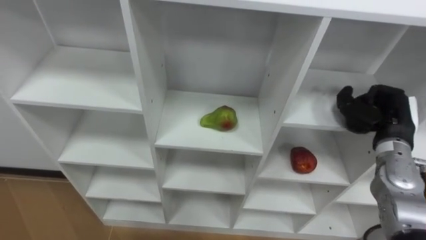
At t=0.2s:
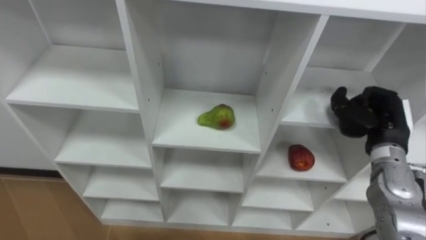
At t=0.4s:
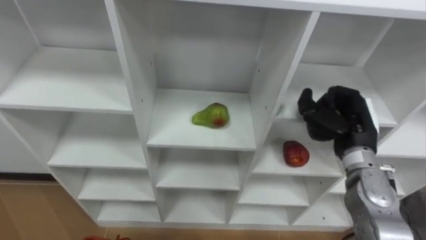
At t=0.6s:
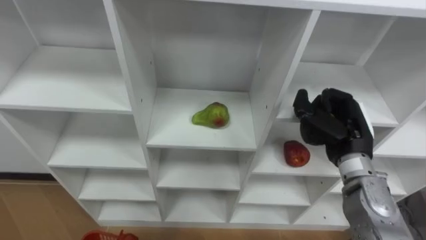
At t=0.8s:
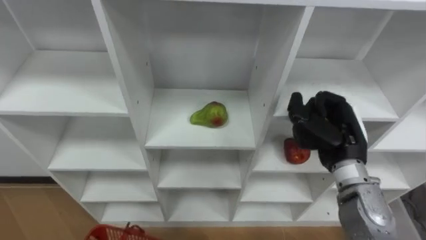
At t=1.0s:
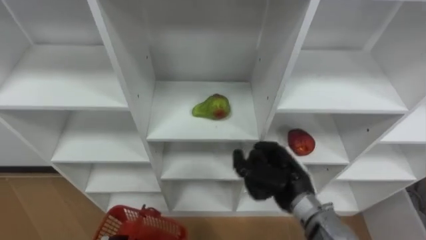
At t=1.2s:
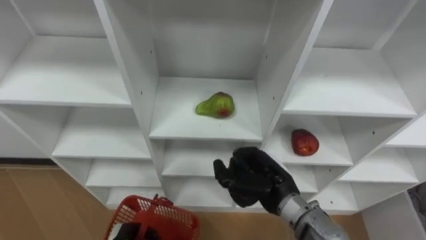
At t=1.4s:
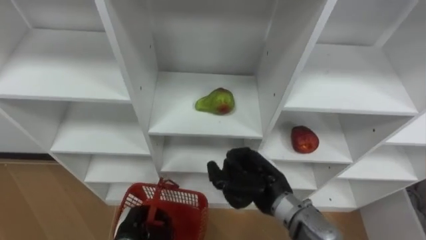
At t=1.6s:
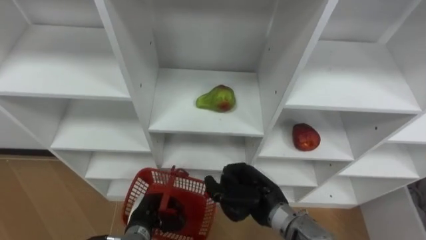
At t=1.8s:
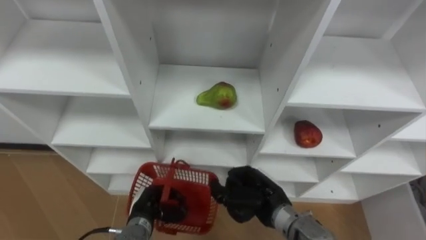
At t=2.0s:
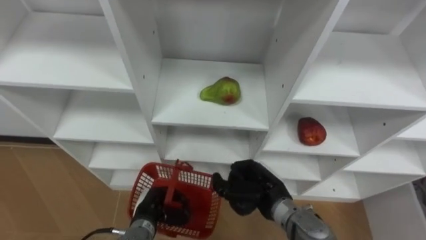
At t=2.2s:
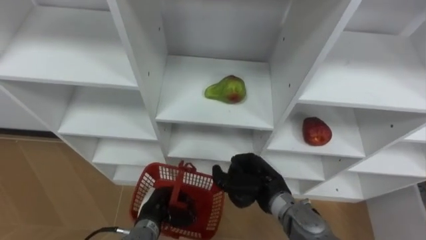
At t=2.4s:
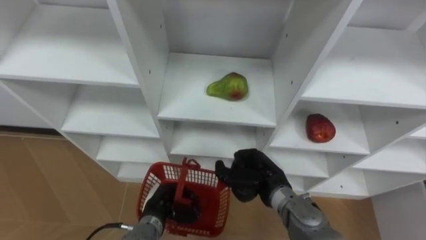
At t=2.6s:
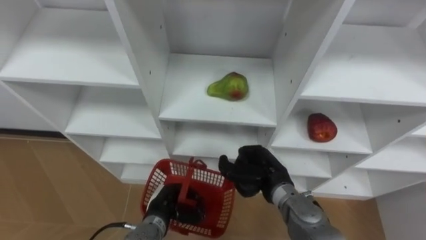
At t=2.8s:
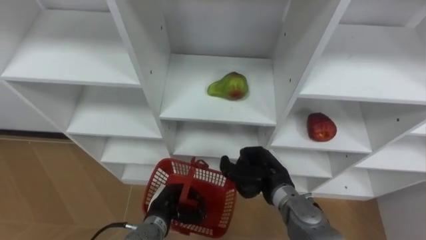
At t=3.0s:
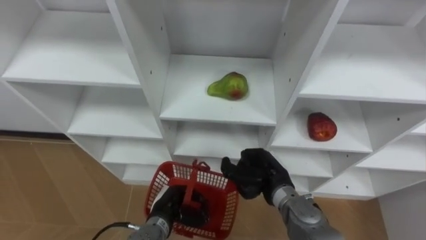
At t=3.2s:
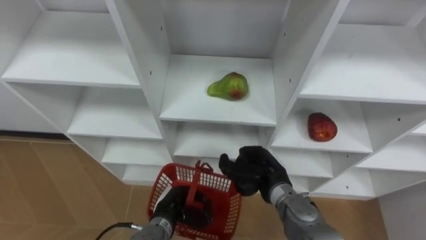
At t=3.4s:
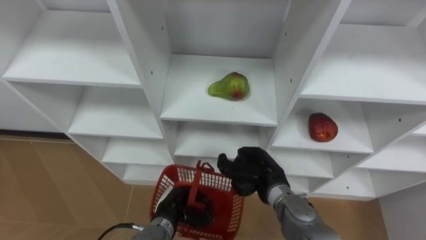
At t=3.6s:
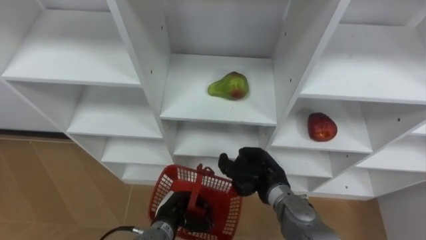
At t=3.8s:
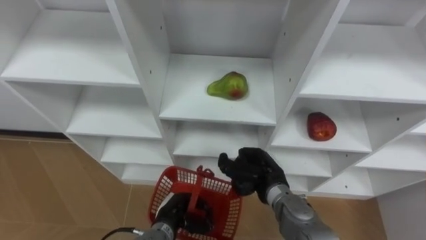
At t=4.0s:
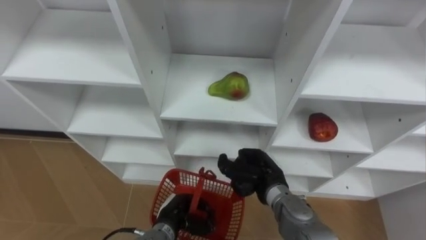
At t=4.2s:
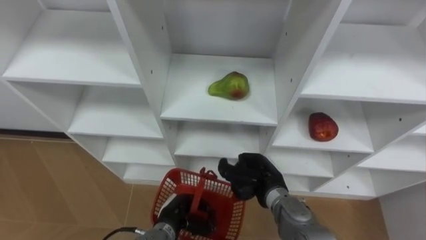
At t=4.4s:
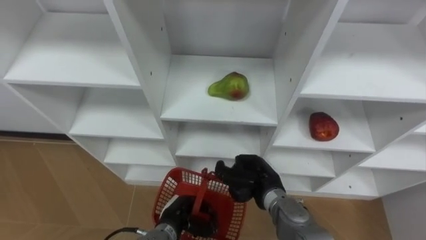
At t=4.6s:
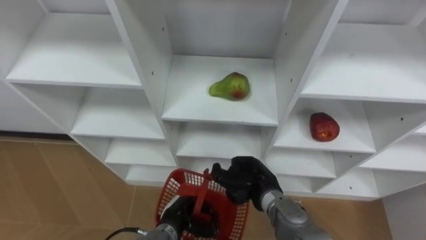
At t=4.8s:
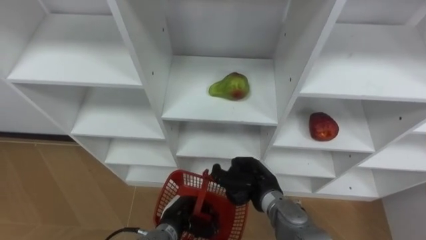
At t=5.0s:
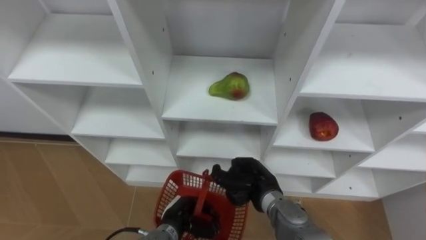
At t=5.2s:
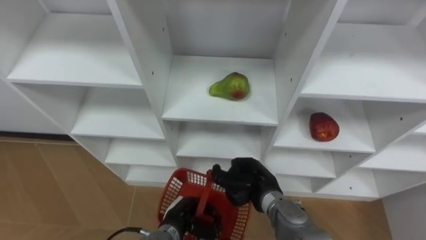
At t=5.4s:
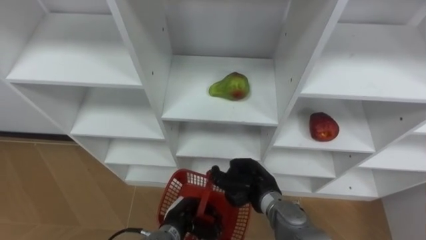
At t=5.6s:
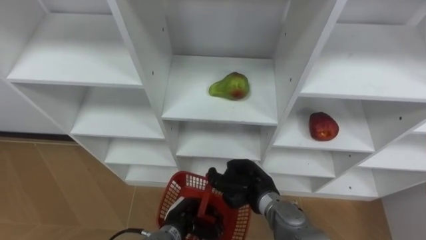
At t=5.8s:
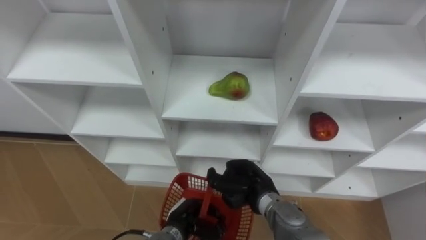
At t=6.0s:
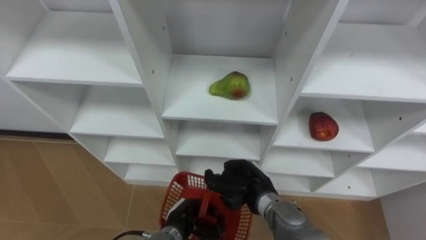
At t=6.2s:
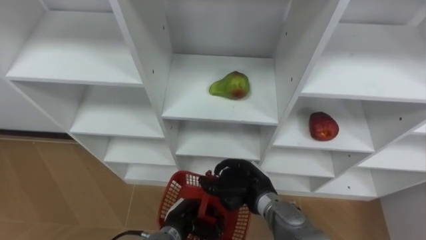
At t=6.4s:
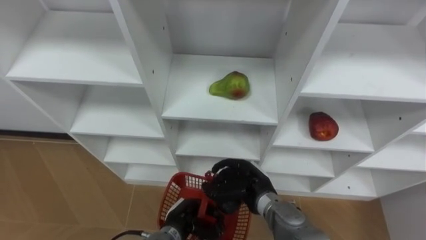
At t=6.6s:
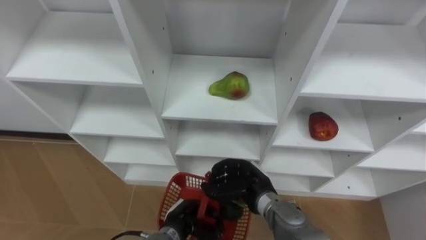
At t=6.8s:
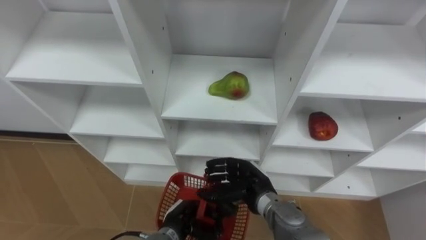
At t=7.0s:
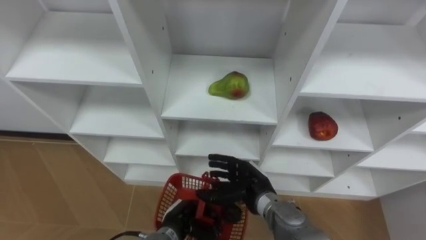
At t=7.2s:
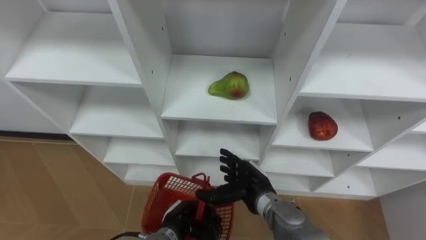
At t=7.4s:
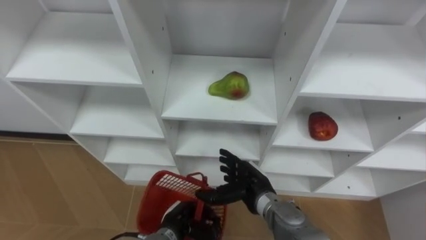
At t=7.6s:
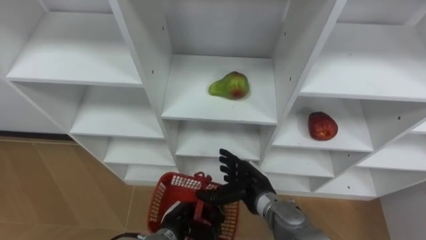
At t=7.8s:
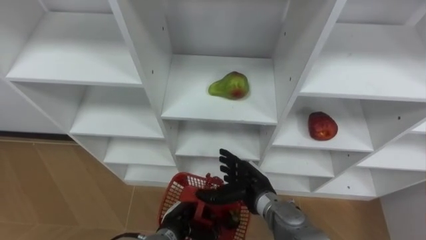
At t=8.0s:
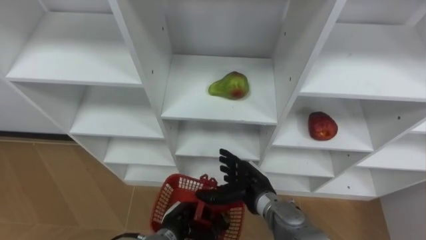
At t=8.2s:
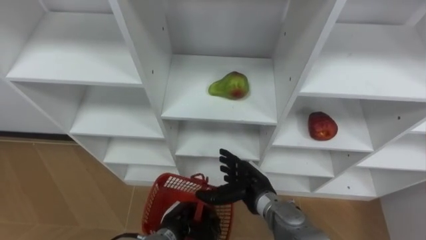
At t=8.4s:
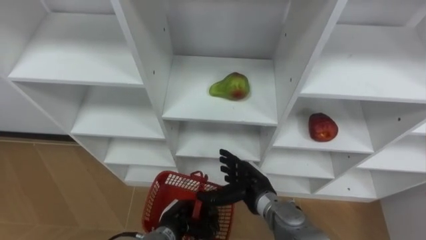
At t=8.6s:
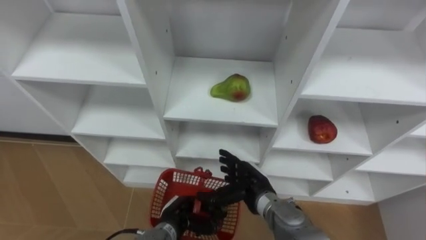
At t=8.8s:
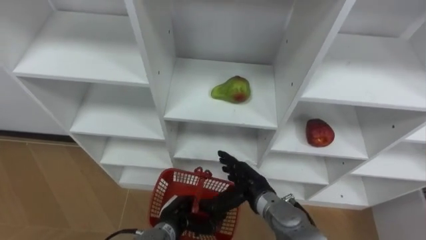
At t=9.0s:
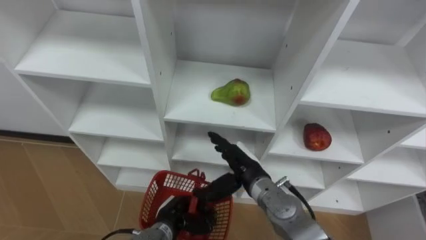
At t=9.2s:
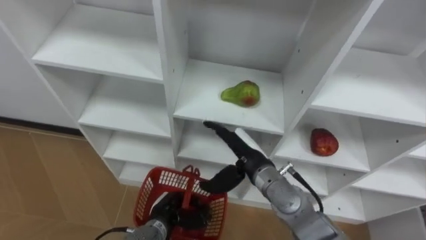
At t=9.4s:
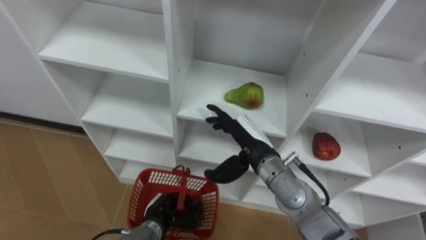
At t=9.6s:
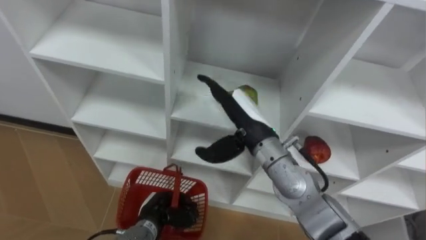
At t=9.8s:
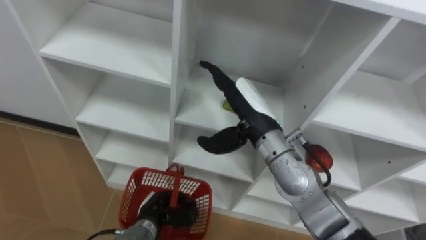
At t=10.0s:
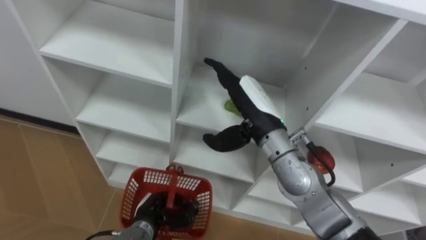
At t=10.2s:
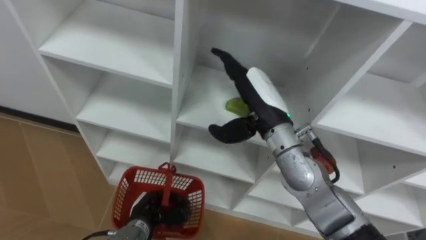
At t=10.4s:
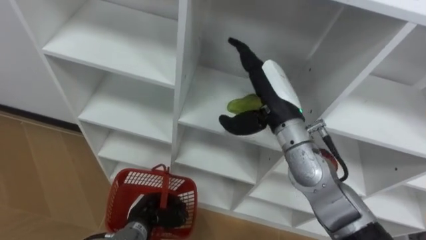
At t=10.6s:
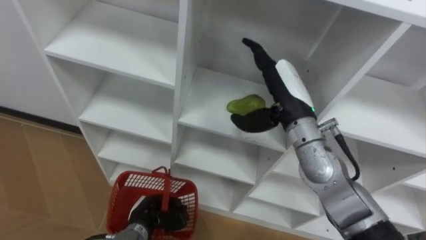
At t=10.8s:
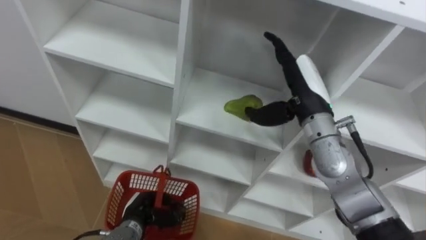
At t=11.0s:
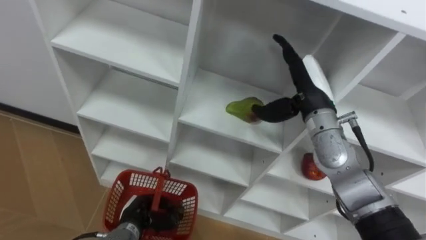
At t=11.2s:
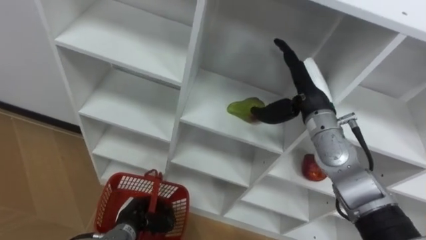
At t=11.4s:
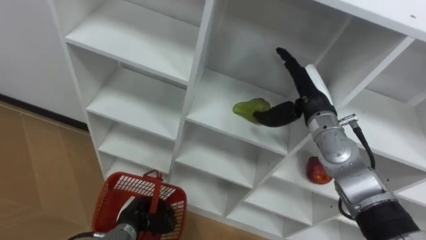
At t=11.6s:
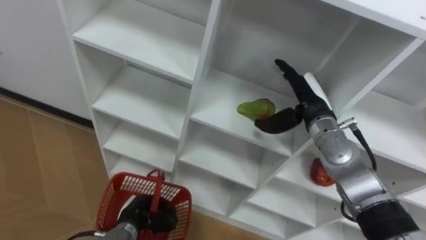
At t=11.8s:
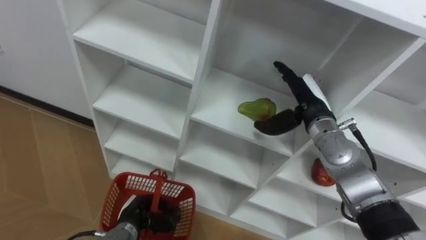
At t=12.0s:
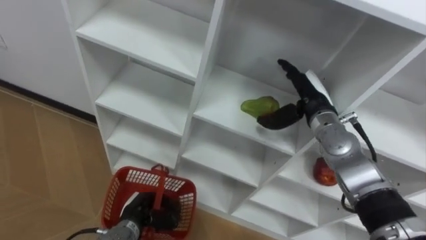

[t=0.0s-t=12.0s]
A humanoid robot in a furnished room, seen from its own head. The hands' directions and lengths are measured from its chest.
Task of the whole recording: Hold the basket and collect the fruits from 3 different cells of the closet into it.
t=0.0s to t=1.6s: The right hand travels to the left by some 25 cm.
t=1.6s to t=3.0s: The left hand moves to the right, approximately 5 cm; the right hand changes place by some 5 cm.
t=3.0s to t=6.0s: There are only small adjustments of the hands.
t=6.0s to t=7.6s: The right hand opens its fingers.
t=9.0s to t=10.4s: The right hand moves upward, about 15 cm. The left hand goes about 5 cm to the left.
t=10.4s to t=12.0s: The right hand is displaced to the right and downward by about 10 cm.

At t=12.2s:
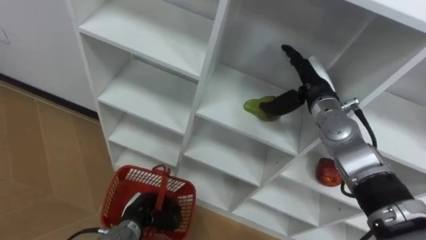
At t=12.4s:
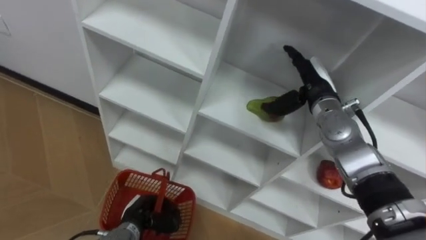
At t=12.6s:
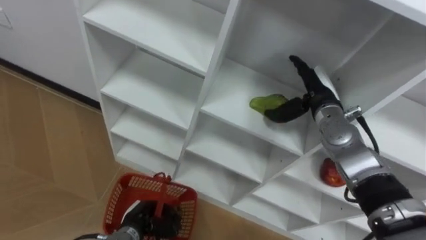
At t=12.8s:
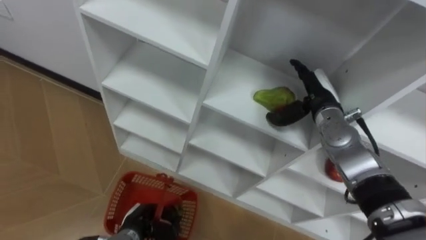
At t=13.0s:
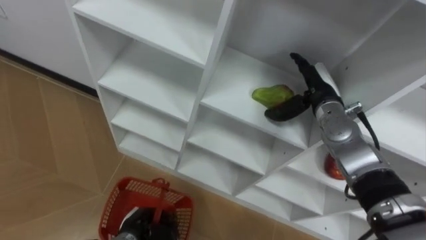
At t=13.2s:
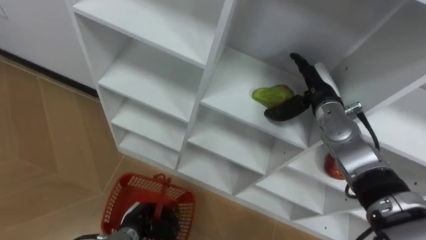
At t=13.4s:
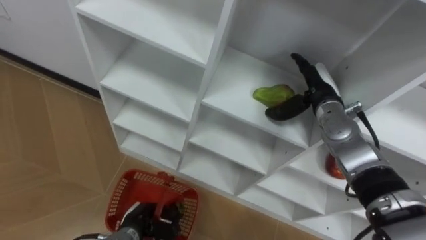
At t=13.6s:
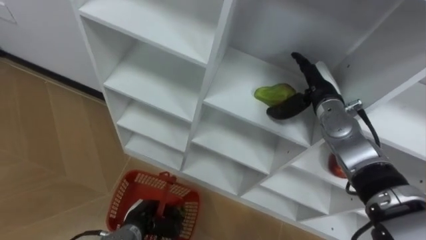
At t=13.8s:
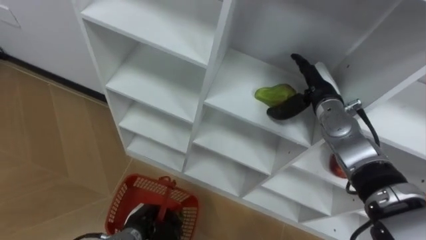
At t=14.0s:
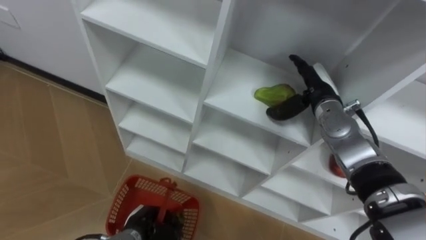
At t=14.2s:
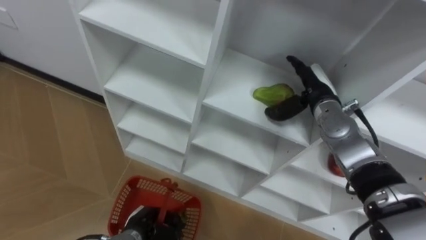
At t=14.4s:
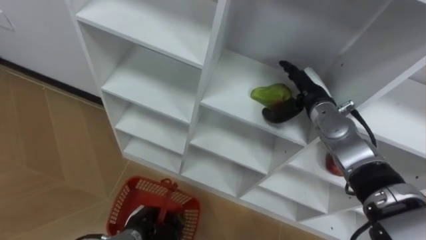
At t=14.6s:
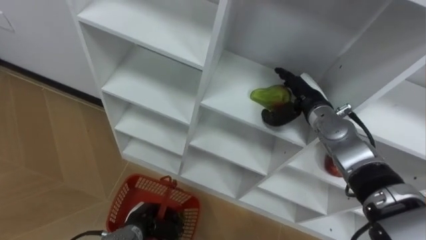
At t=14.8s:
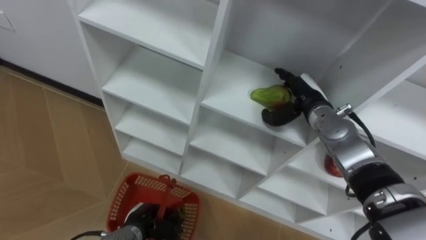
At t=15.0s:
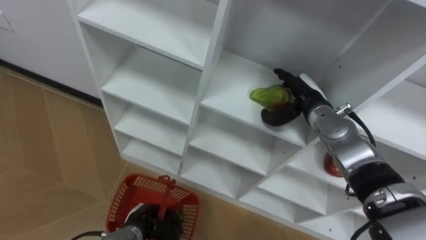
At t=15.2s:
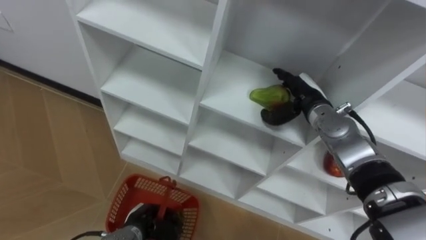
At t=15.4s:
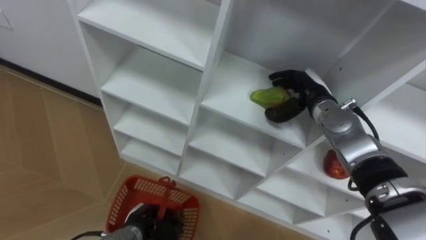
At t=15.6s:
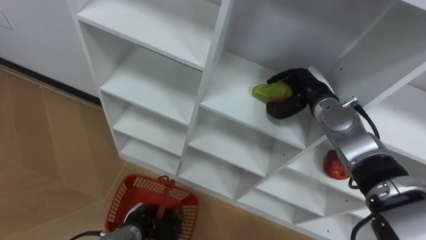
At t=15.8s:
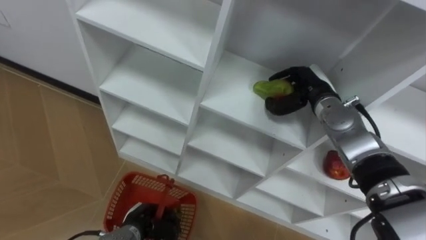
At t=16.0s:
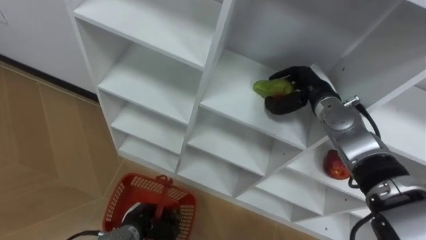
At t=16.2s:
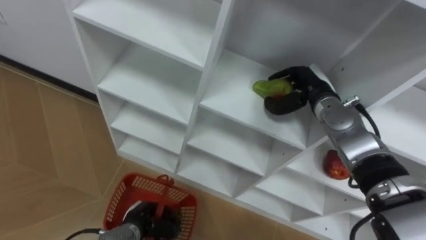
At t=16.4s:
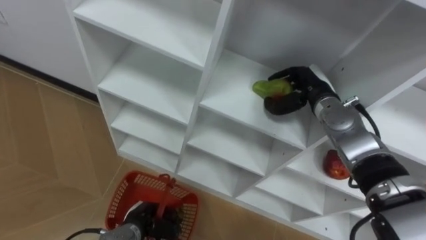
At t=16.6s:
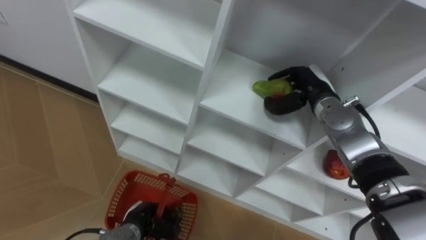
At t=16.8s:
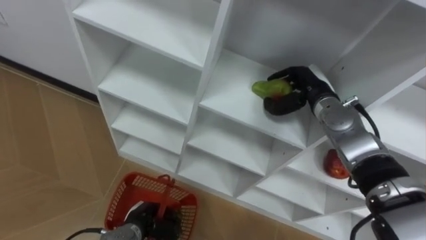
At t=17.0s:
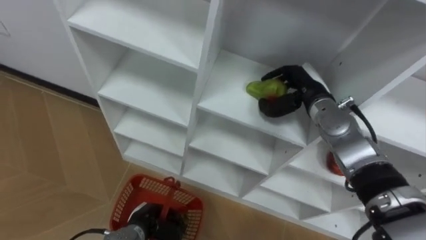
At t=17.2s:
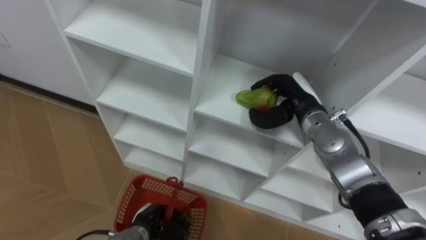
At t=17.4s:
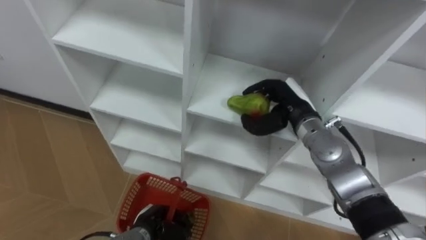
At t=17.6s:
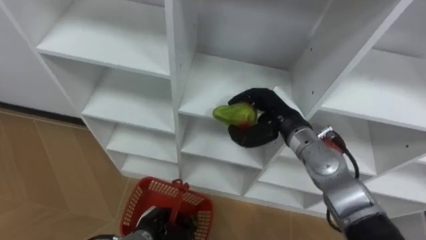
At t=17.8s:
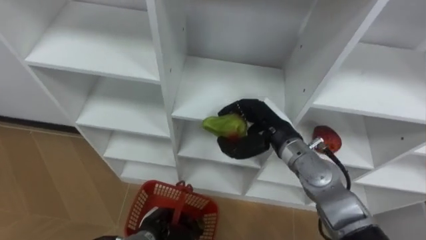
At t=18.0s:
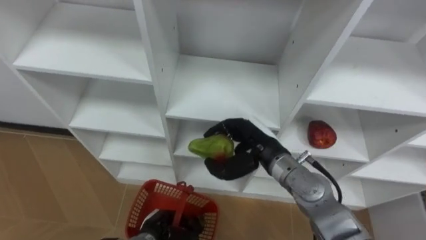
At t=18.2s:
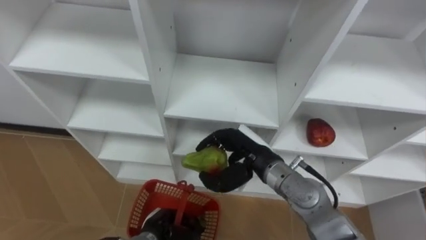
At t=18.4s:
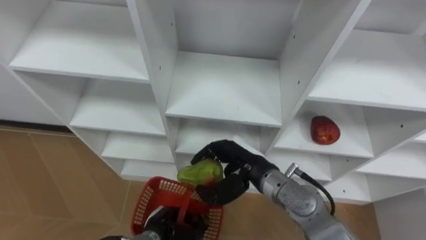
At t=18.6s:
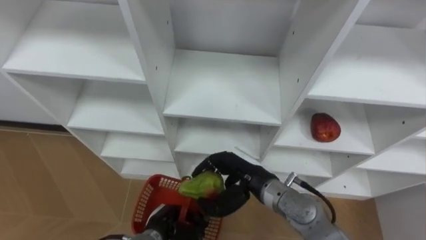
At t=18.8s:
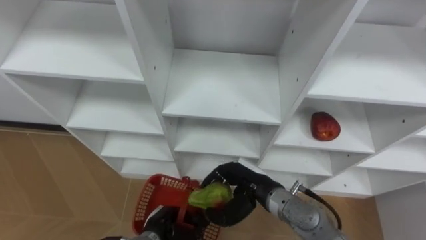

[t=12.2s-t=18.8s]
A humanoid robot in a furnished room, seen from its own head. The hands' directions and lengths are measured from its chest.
Task of the whole recording: Hold the basket and collect the fruits from 3 different cells of the closet into it.
t=13.8s to t=15.4s: The hands move only a little.
t=15.4s to t=17.2s: The right hand closes up.
t=17.2s to t=18.8s: The right hand heads backward, to the left and downward, covering some 20 cm.
